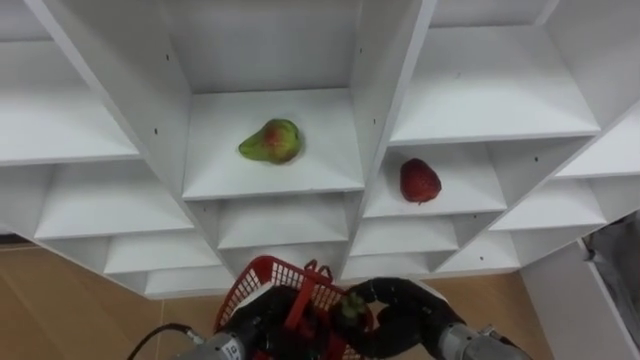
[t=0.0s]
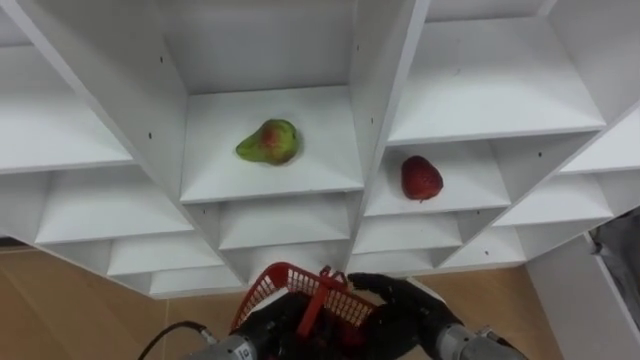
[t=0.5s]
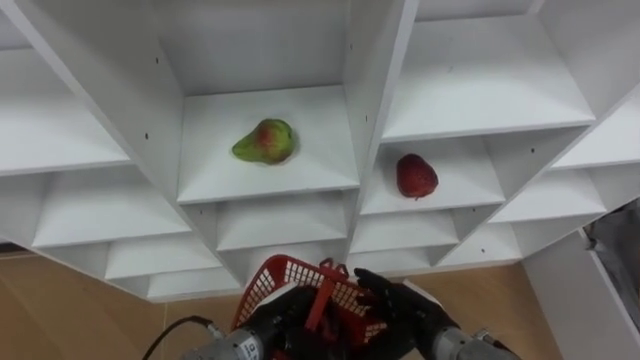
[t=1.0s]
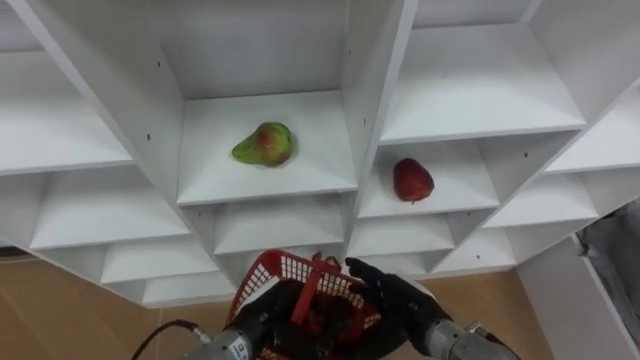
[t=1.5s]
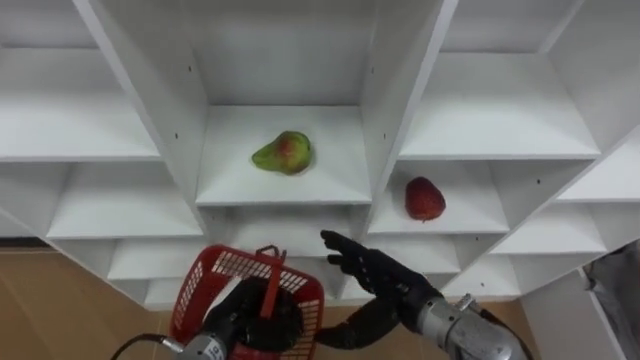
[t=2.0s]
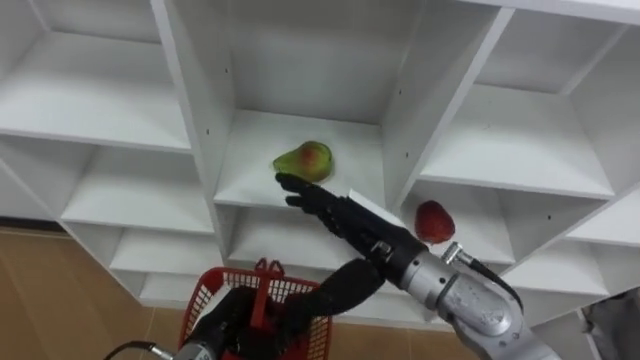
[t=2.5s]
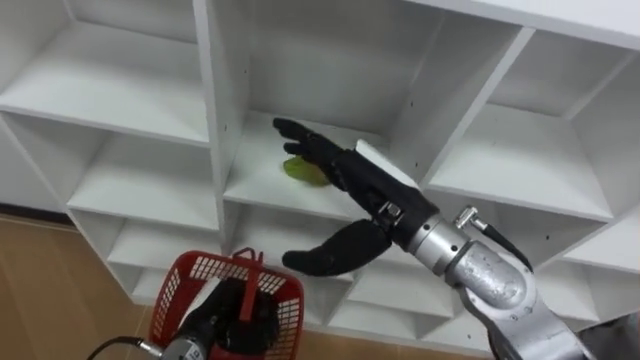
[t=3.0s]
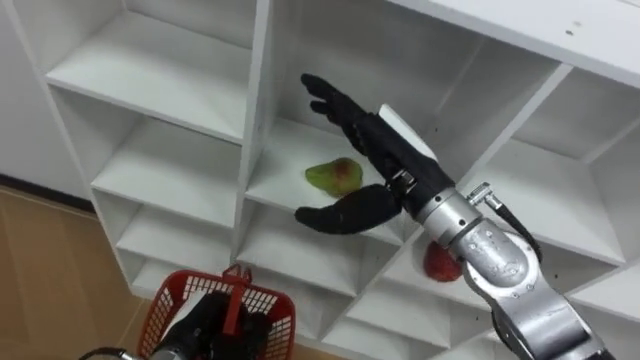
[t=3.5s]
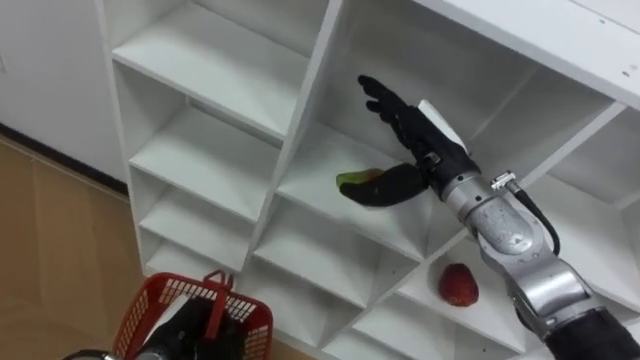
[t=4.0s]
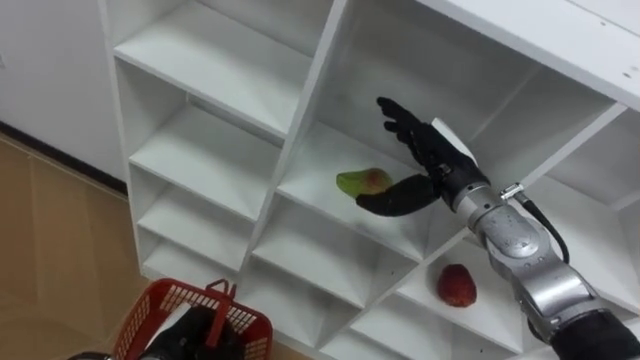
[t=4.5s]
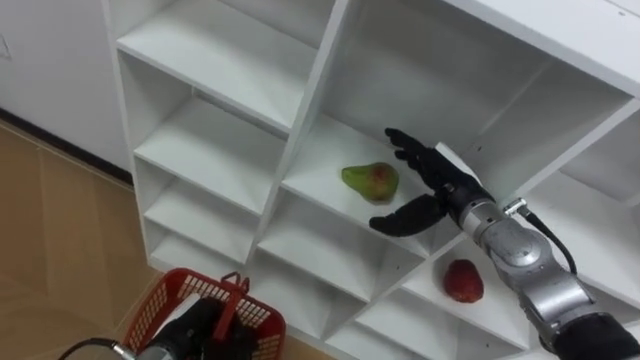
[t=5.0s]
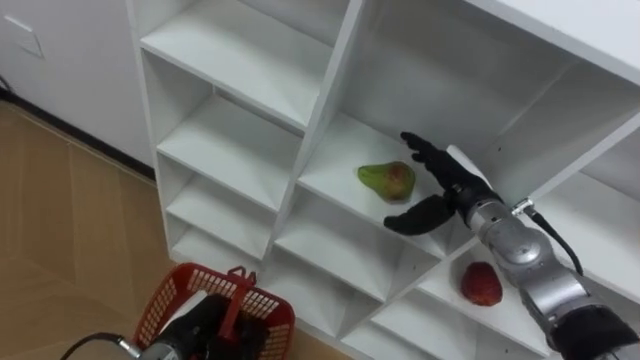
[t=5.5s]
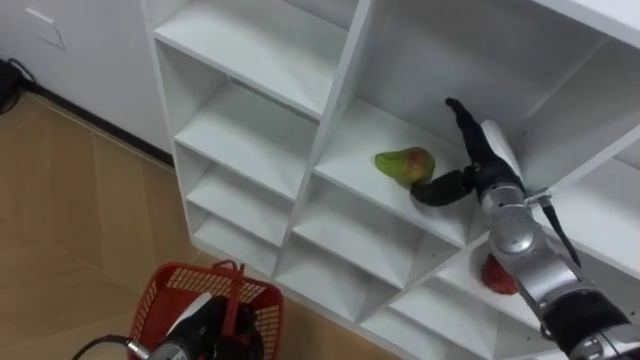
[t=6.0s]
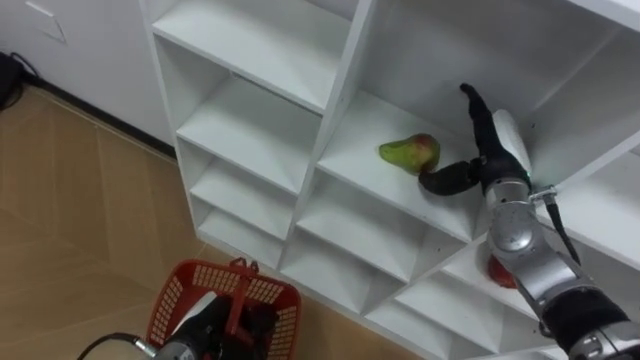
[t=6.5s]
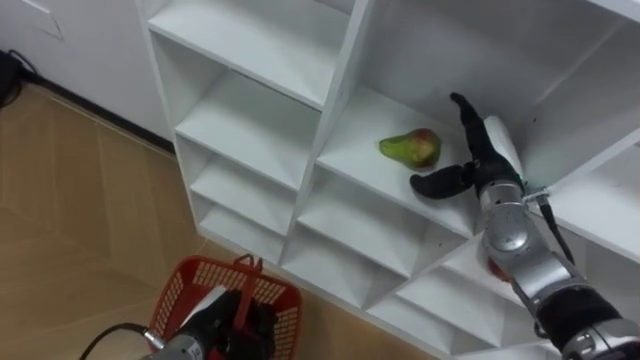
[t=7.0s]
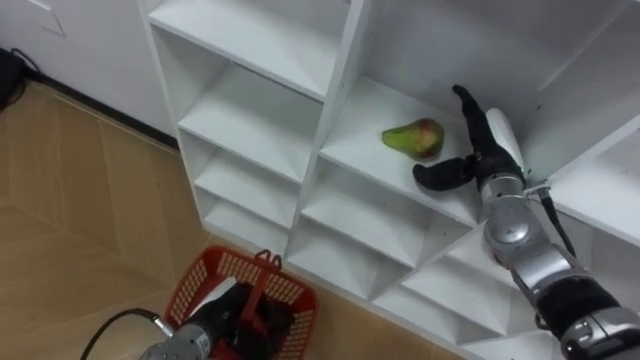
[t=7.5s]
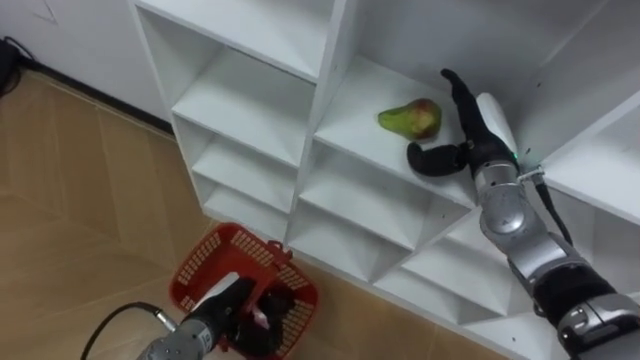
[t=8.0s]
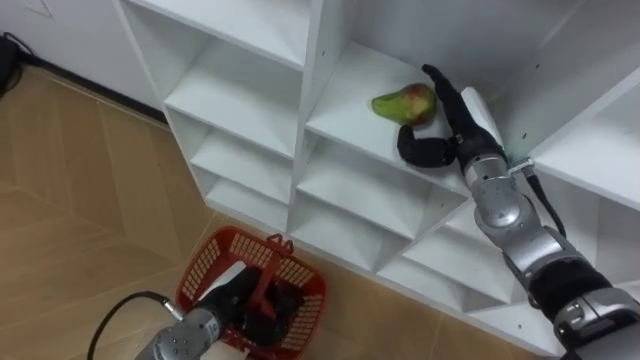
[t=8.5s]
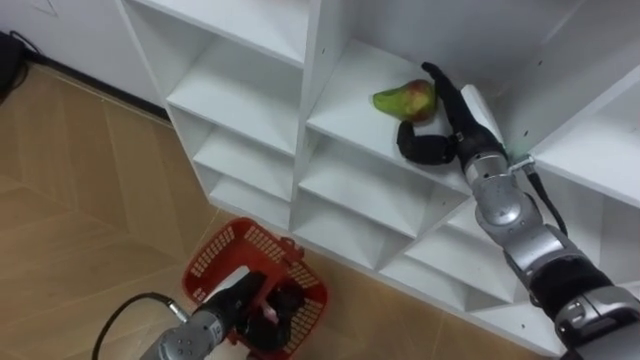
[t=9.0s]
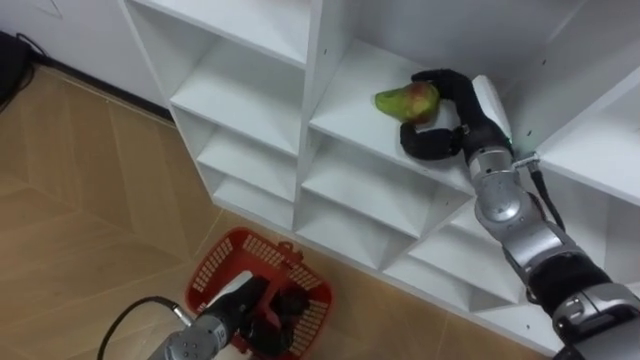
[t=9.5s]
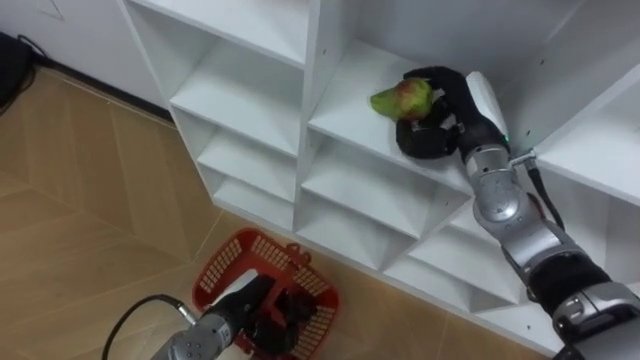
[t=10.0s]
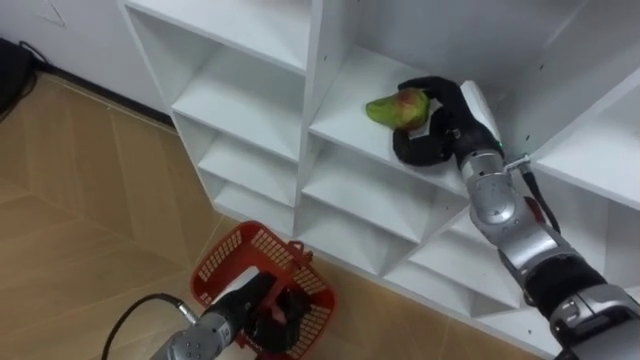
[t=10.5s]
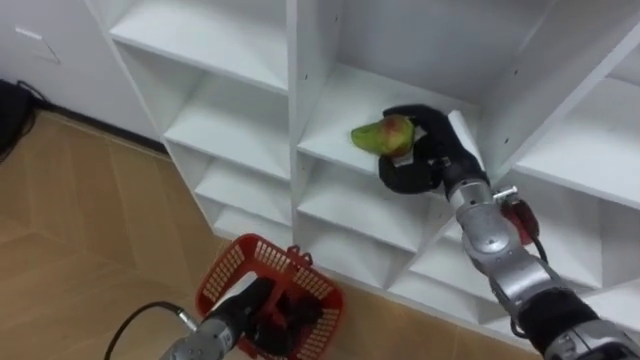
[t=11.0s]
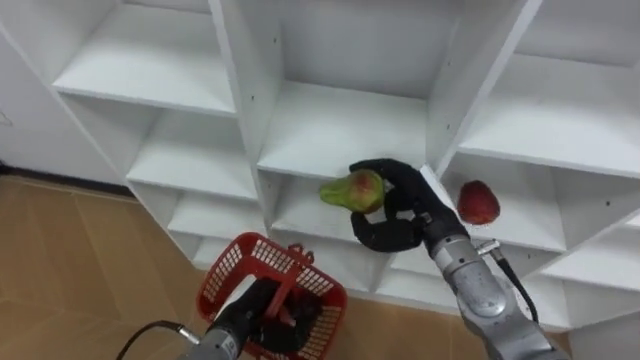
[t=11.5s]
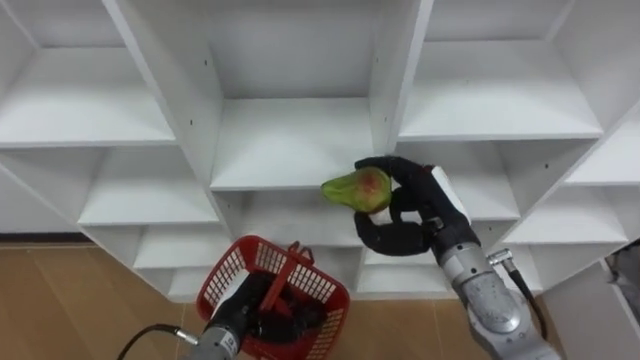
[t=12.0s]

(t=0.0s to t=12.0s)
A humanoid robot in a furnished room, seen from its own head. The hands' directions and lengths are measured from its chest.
Task of the whole recording: Hold the basket and collect the fruits from 3 different cells of the closet into it.
t=0.0s - t=2.0s: The right hand is displaced upward by approximately 5 cm, and opens.
t=2.0s - t=4.0s: The left hand goes about 10 cm to the left; the right hand heads upward and forward, covering roughly 20 cm.
t=4.0s - t=6.0s: The right hand shifts some 10 cm to the right and downward.
t=8.0s - t=10.0s: The right hand closes.
t=10.0s - t=12.0s: The right hand shifts approximately 10 cm backward and downward.

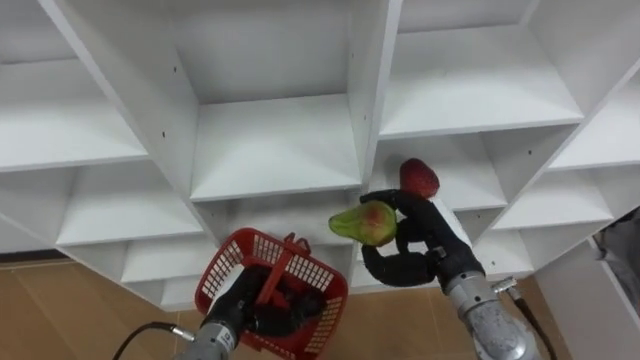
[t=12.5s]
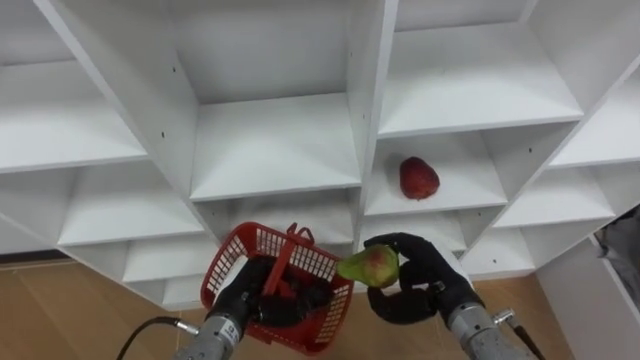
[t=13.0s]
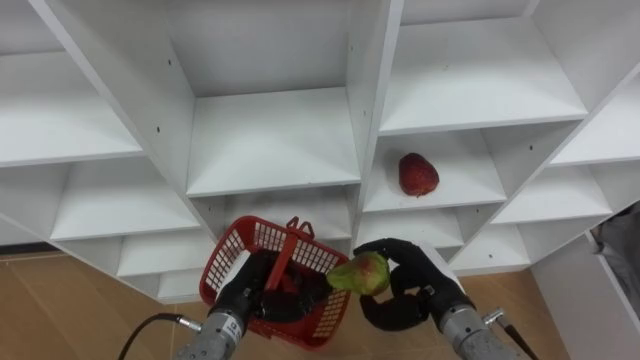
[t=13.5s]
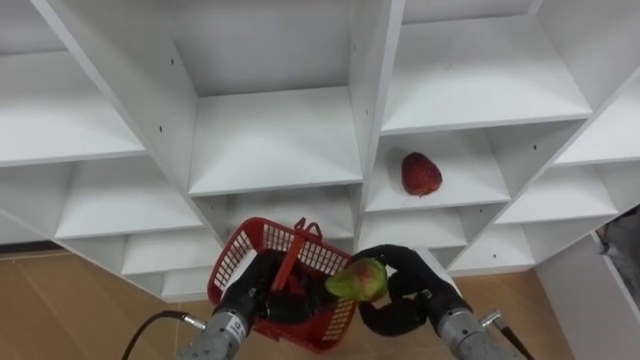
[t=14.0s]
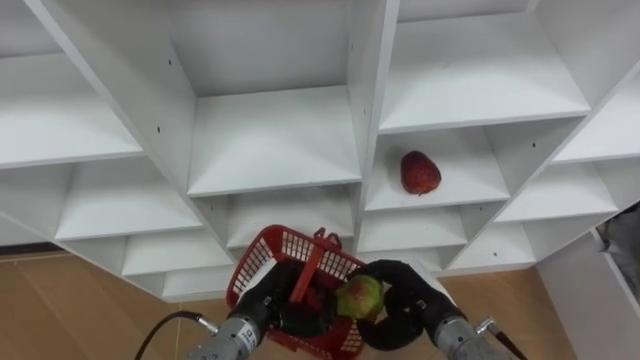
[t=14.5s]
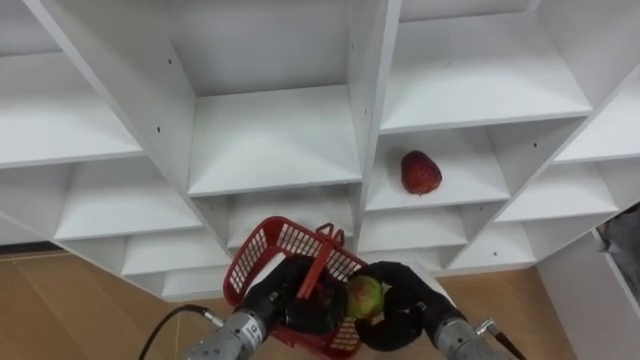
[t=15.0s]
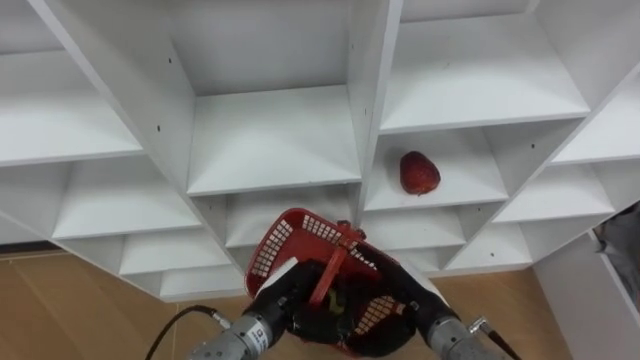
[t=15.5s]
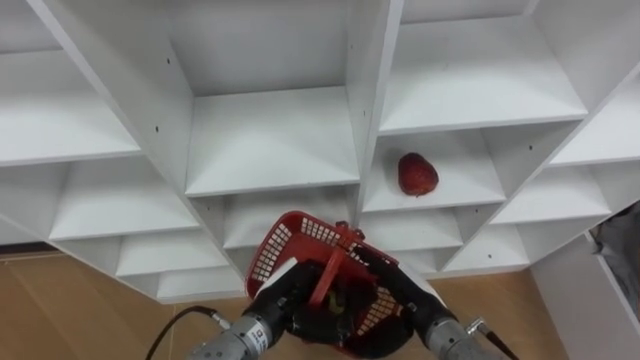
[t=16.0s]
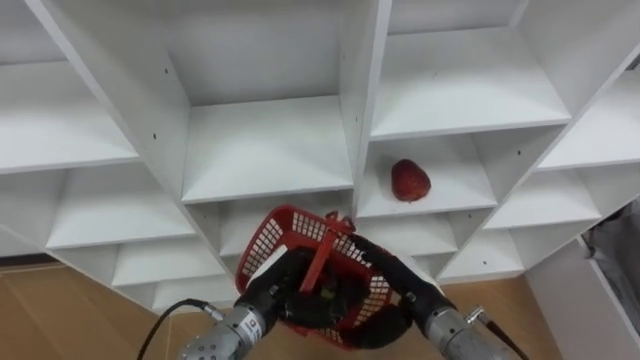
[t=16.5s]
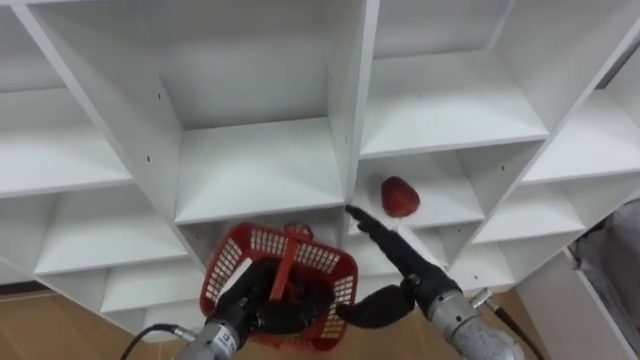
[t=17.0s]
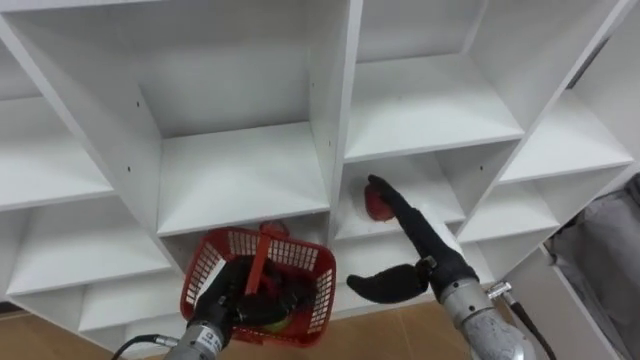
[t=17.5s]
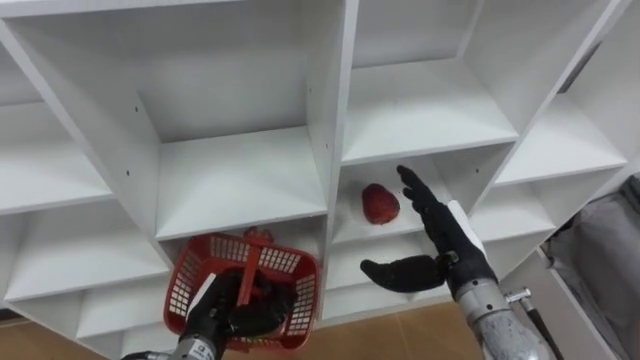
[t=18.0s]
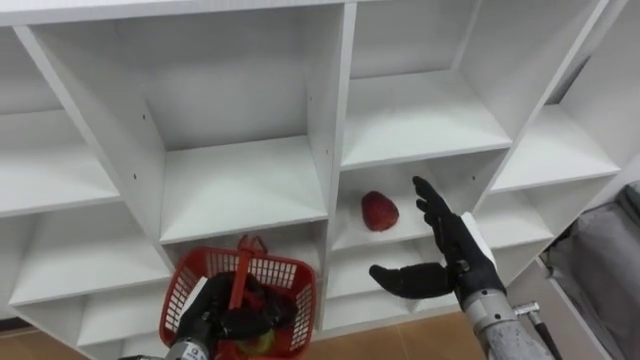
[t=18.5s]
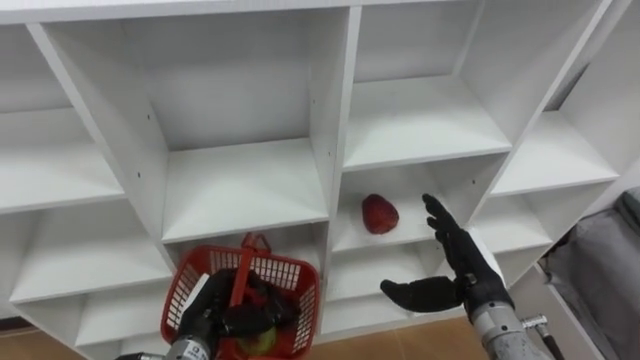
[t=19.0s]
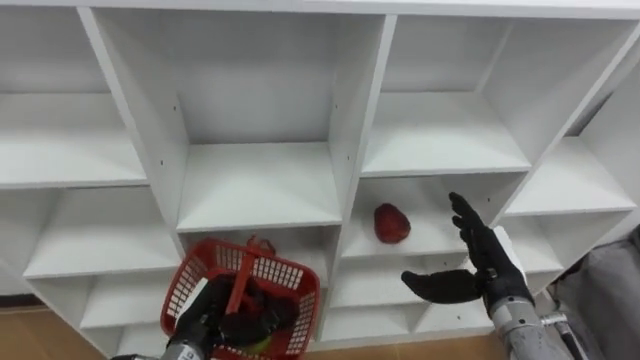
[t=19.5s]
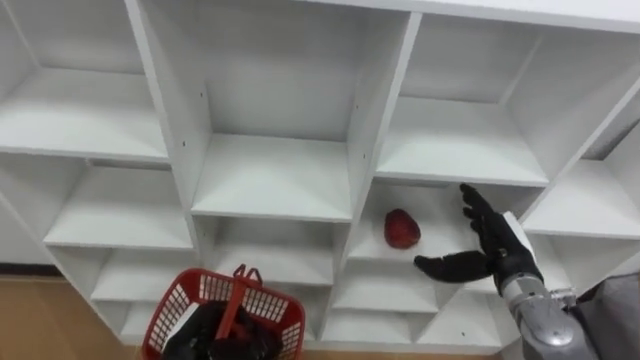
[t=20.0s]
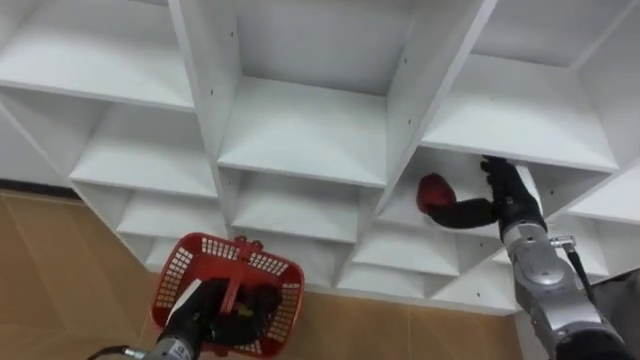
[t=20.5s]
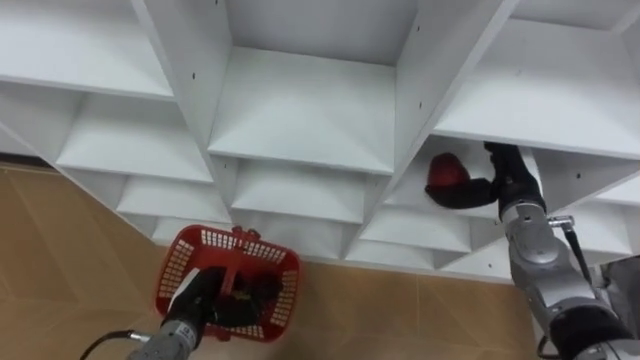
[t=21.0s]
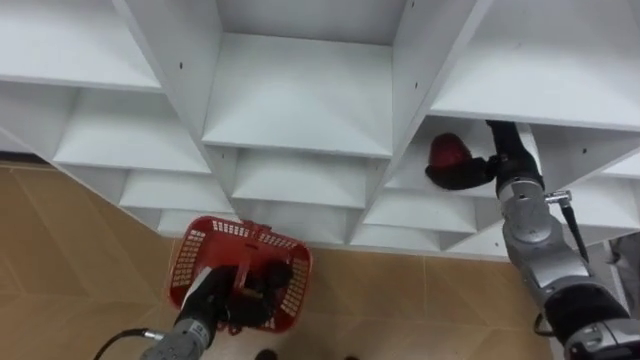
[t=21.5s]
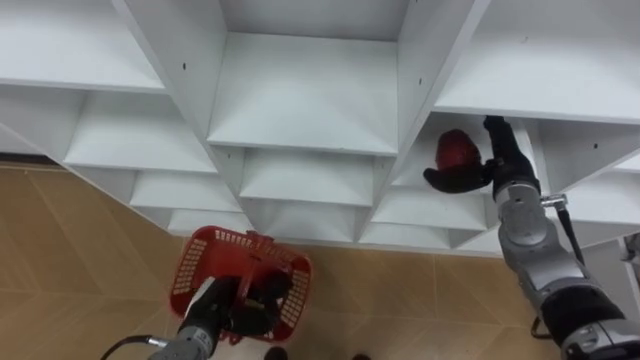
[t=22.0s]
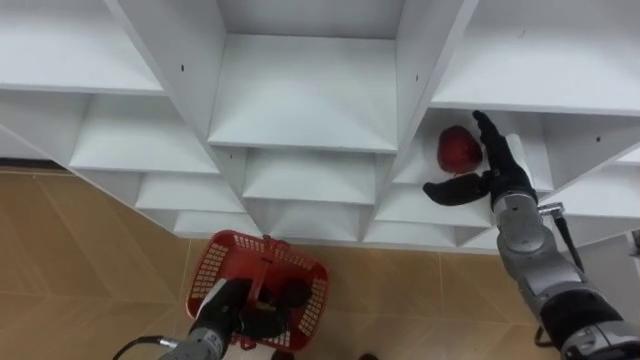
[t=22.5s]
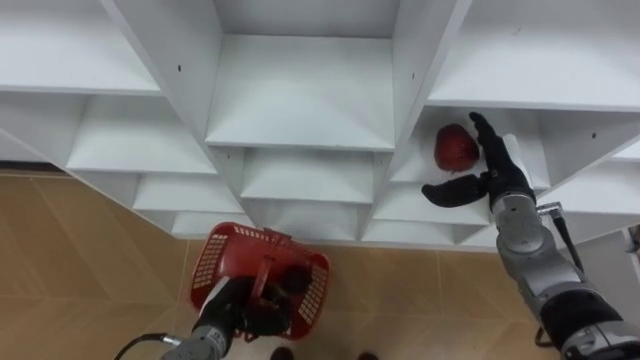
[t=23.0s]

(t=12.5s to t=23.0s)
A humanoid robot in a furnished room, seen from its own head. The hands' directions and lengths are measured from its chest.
Task of the whole recording: Hold the basket and collect the fruits from 3 different cells of the closet into it.
t=12.5s - t=14.5s: The right hand heads downward, covering approximately 10 cm.
t=14.5s - t=16.5s: The right hand opens its fingers.
t=16.5s - t=19.0s: The left hand shifts some 10 cm to the left. Meanwhile the right hand shifts some 5 cm to the right.
t=19.0s - t=21.0s: The right hand is displaced forward and to the right by approximately 10 cm.
